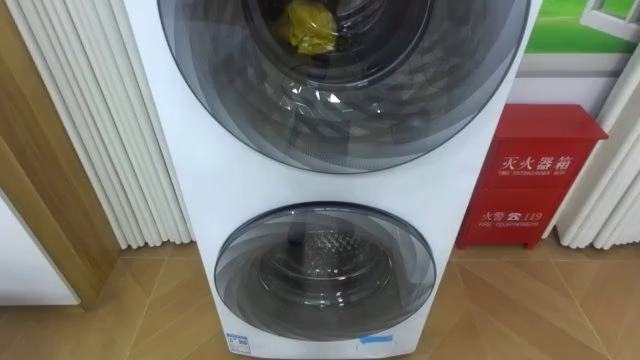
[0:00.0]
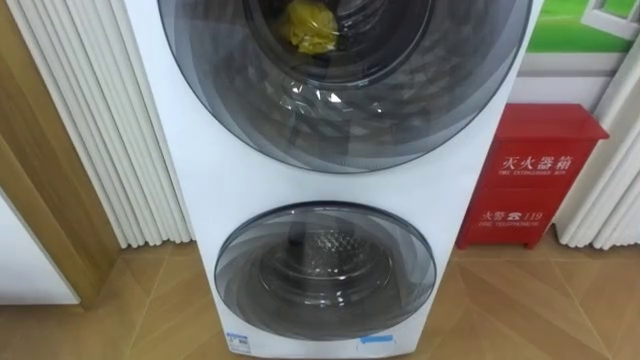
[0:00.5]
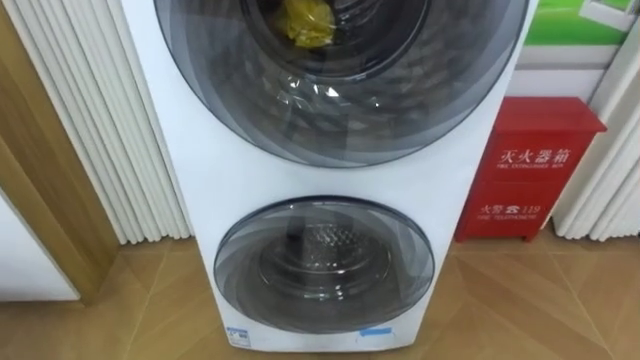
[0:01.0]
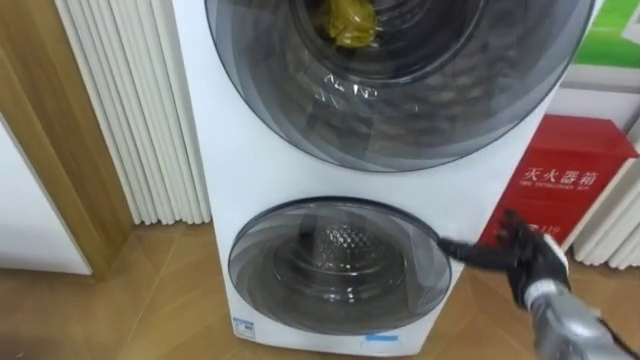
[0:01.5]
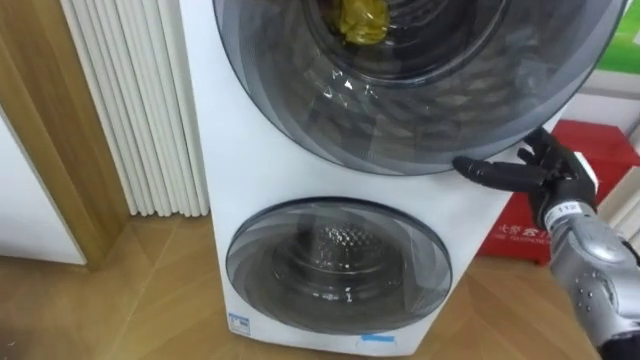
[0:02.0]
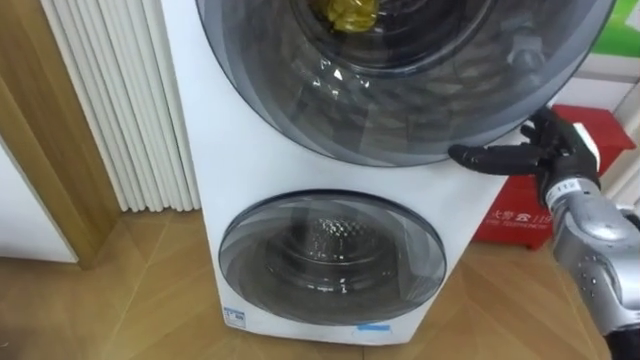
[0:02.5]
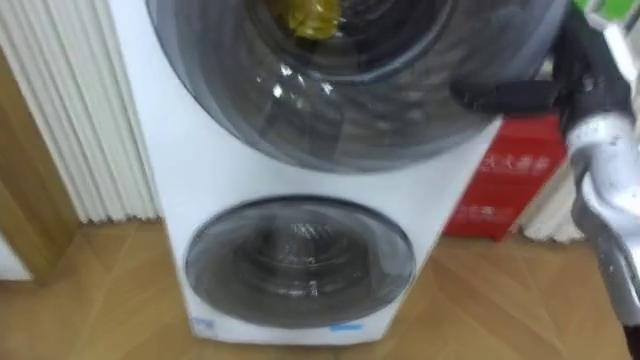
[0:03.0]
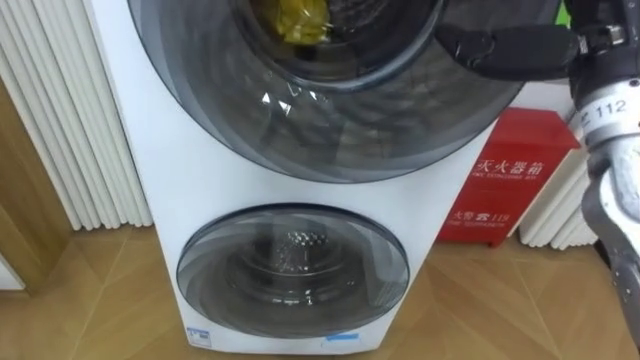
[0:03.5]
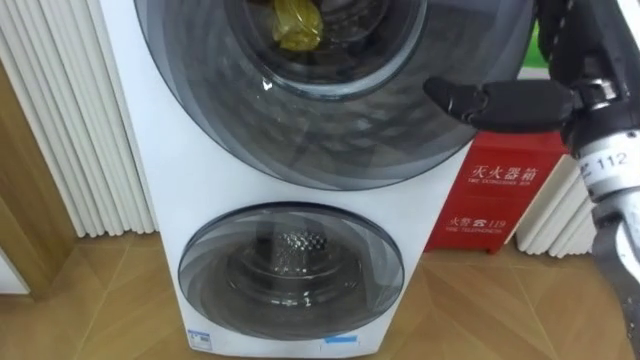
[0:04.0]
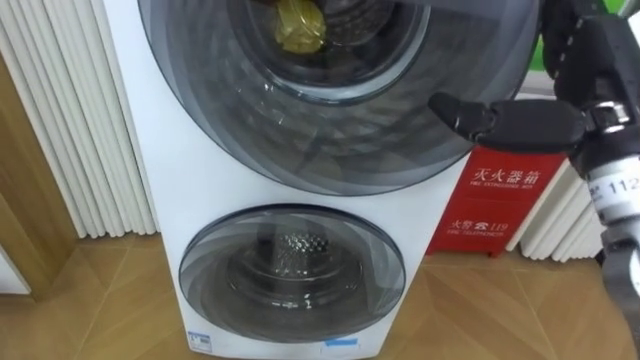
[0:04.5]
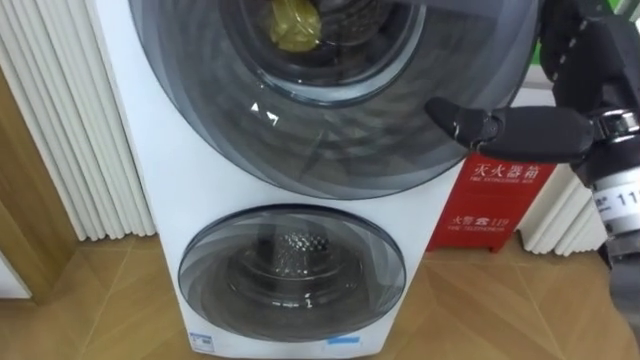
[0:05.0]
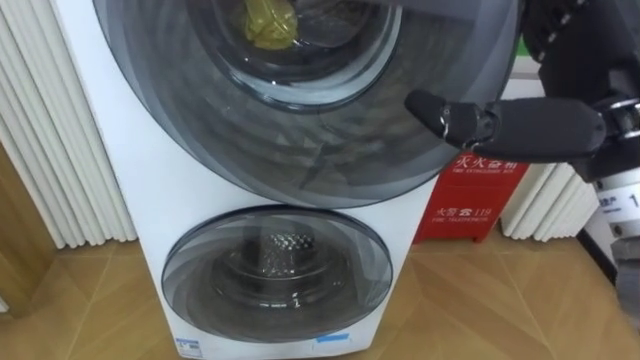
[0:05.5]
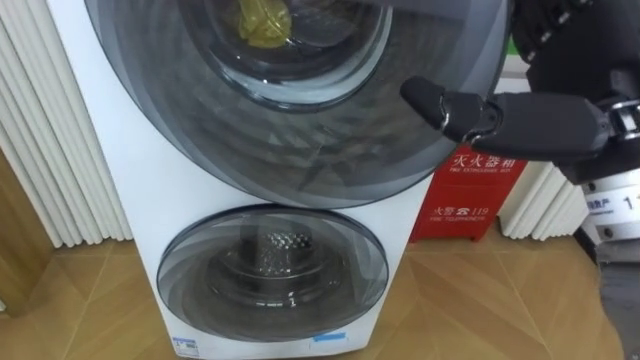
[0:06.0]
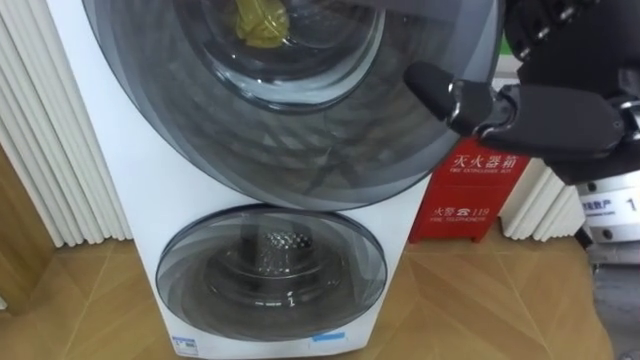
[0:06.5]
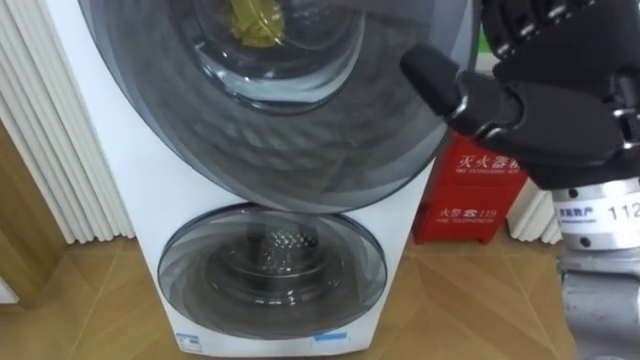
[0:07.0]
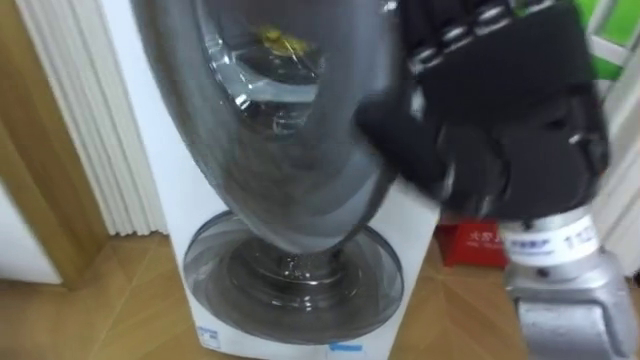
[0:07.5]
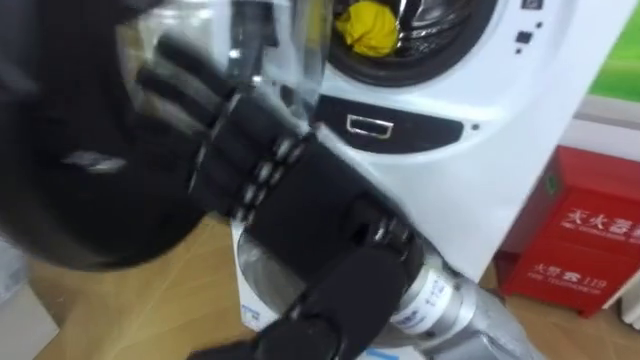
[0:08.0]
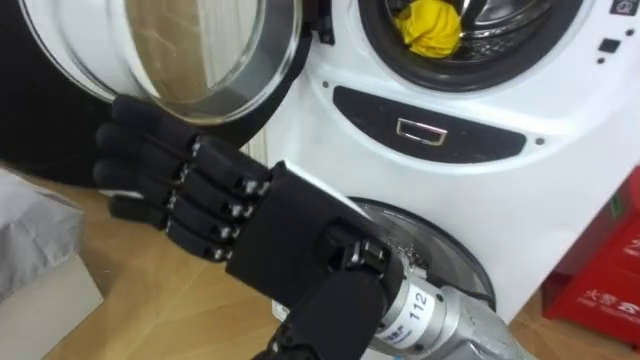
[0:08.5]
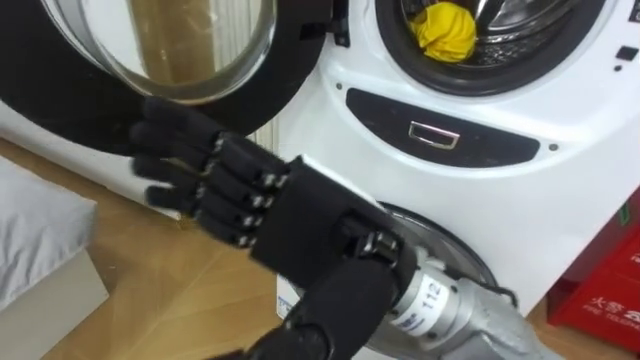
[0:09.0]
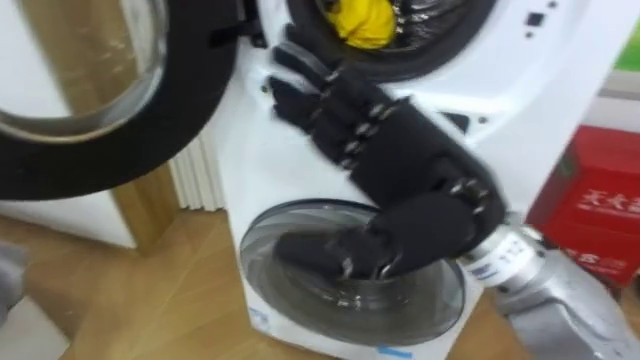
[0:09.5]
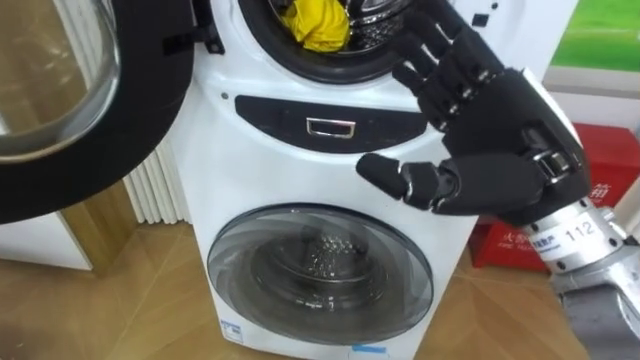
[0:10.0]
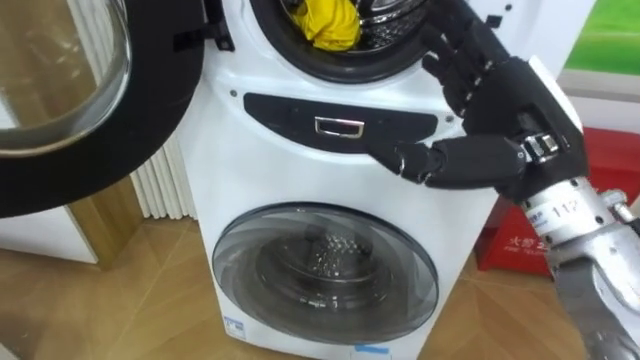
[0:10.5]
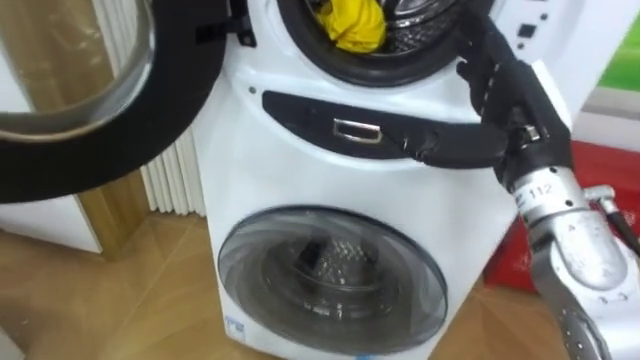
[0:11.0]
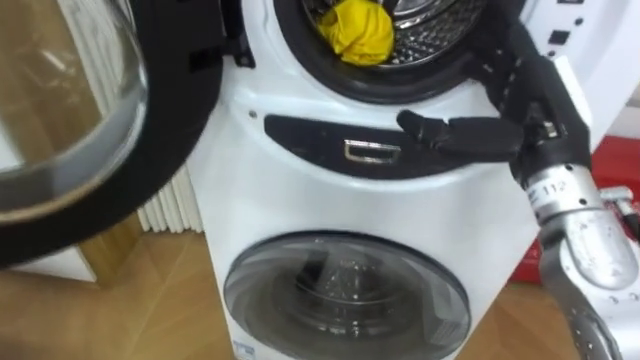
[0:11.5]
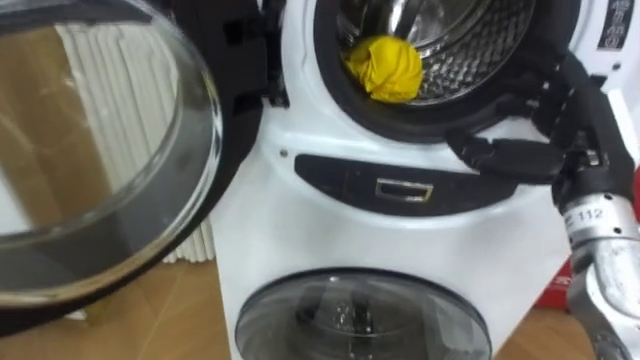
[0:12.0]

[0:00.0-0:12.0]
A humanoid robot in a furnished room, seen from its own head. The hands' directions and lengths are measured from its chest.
Task of the whole recording: Open the washing machine door, take out the yellow clothes, place them in the box on the right, and close the washing machine door.
2.0 to 4.0 s: The right hand heads upward and backward, covering roughly 20 cm.
4.0 to 6.0 s: The right hand shifts by some 5 cm.
6.0 to 8.0 s: The right hand is displaced to the left by roughly 15 cm.
8.0 to 10.0 s: The right hand heads to the right and forward, covering roughly 15 cm.
10.0 to 12.0 s: The right hand moves to the right, some 10 cm.

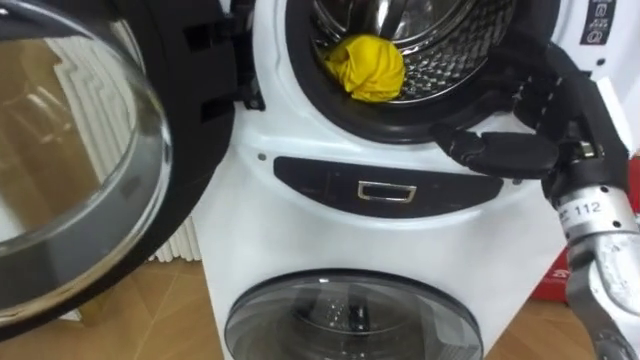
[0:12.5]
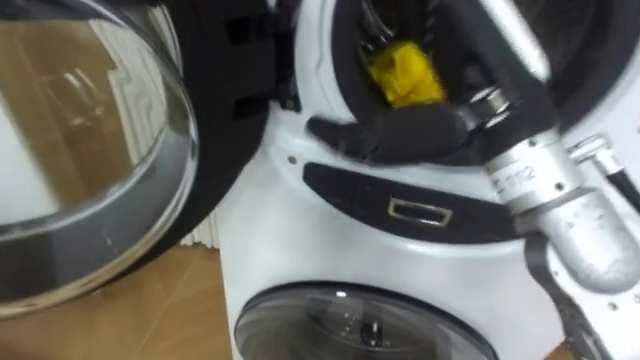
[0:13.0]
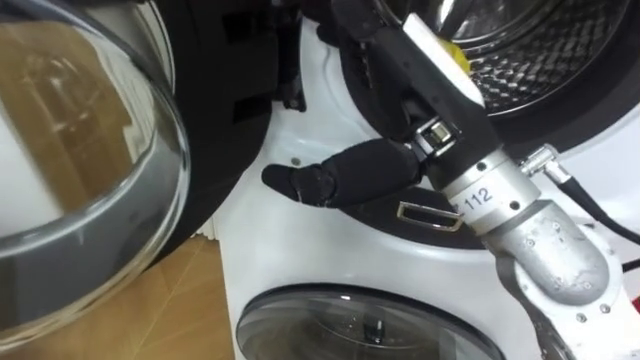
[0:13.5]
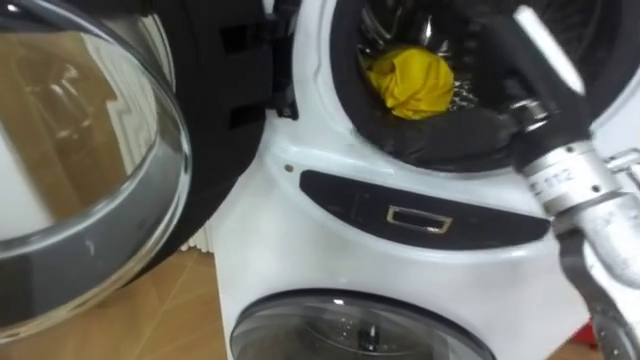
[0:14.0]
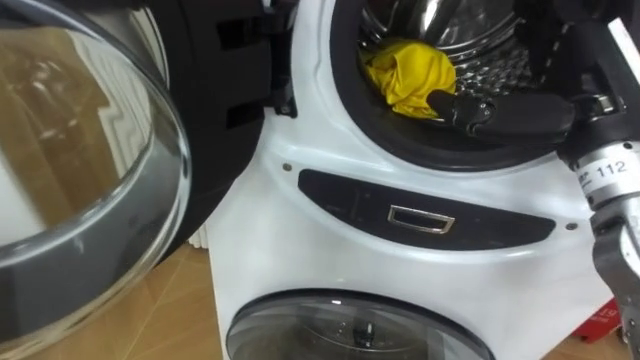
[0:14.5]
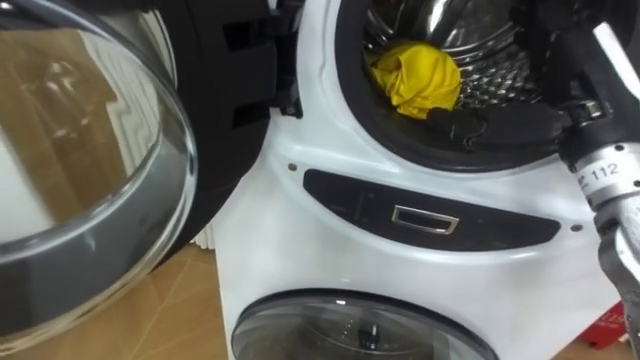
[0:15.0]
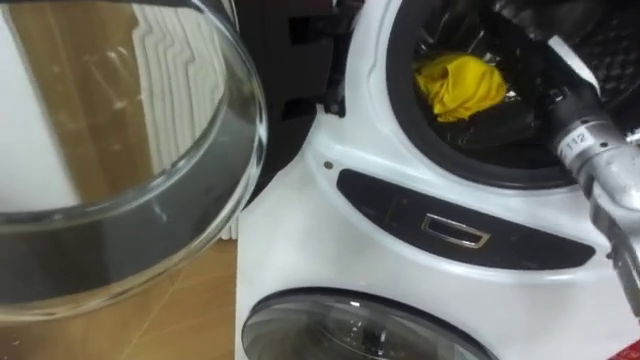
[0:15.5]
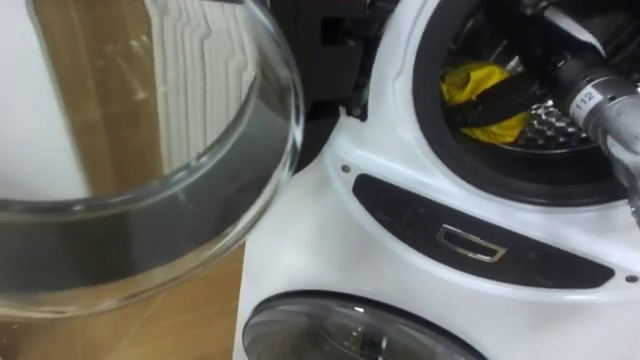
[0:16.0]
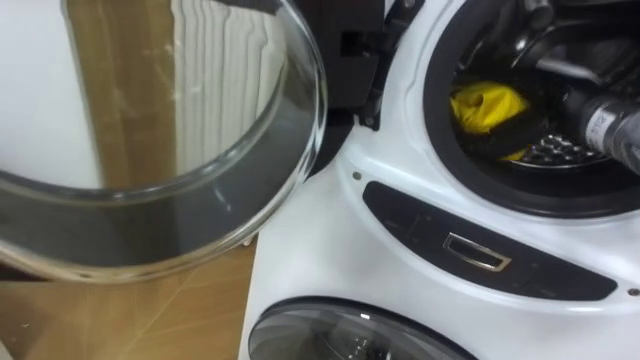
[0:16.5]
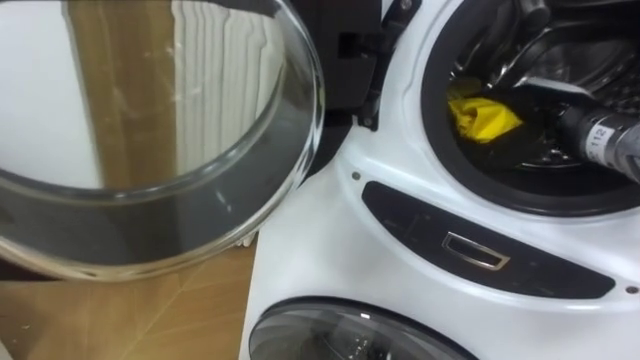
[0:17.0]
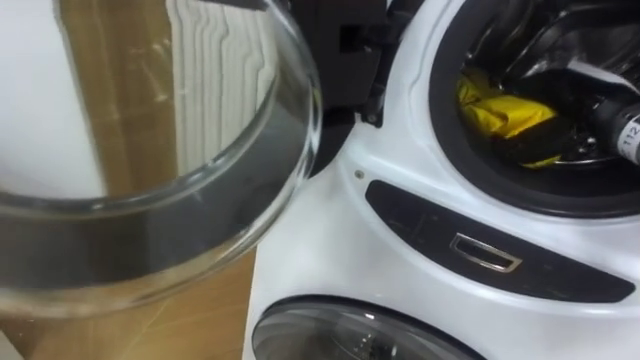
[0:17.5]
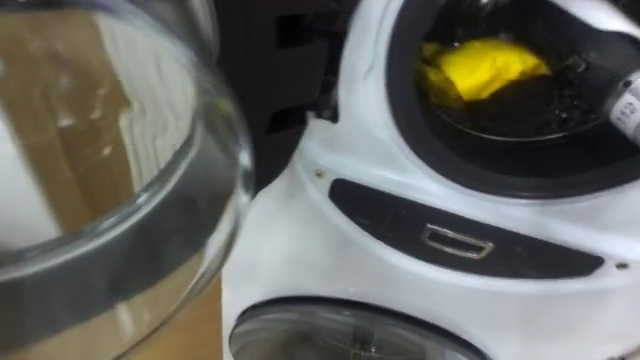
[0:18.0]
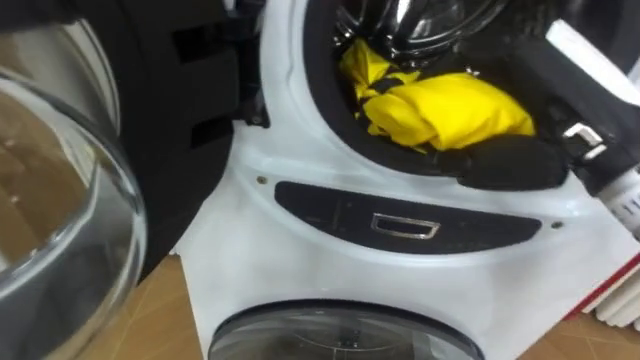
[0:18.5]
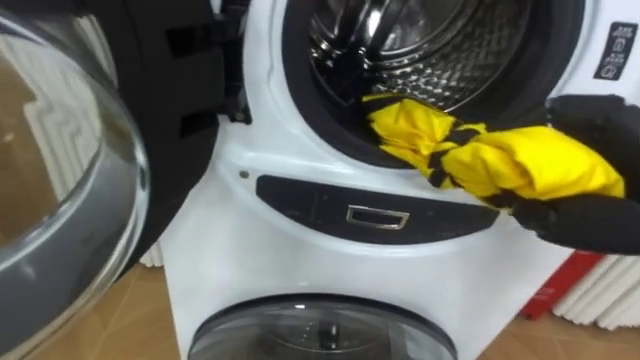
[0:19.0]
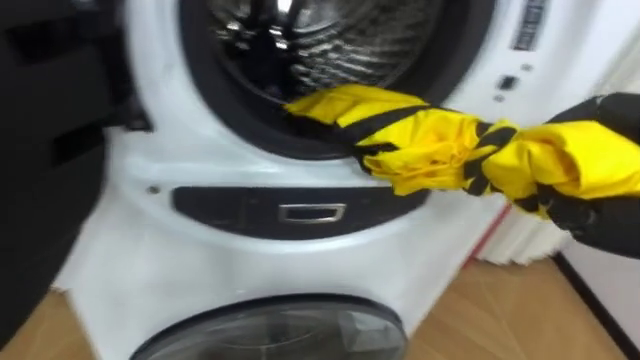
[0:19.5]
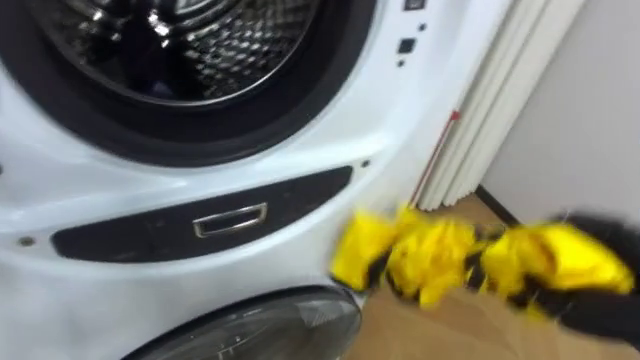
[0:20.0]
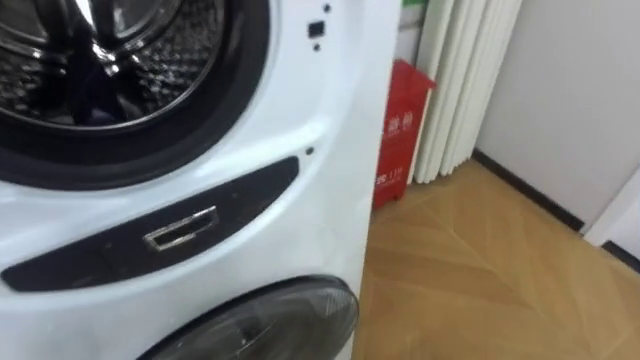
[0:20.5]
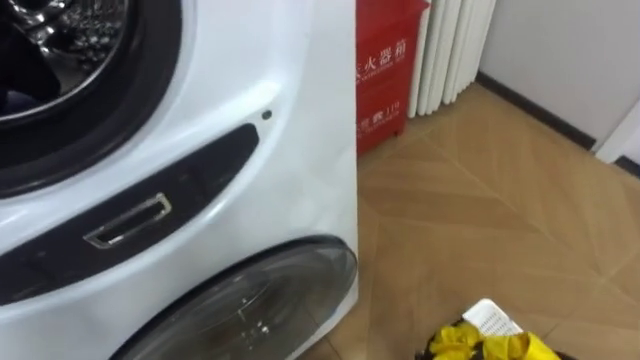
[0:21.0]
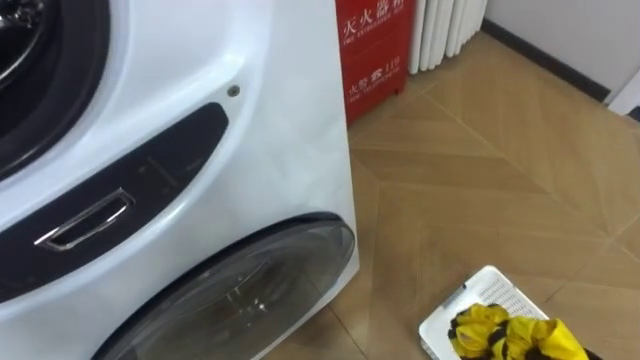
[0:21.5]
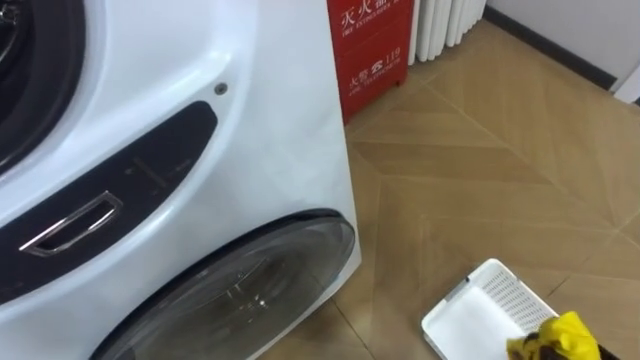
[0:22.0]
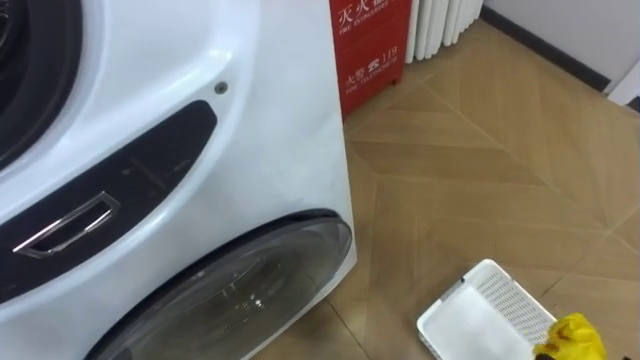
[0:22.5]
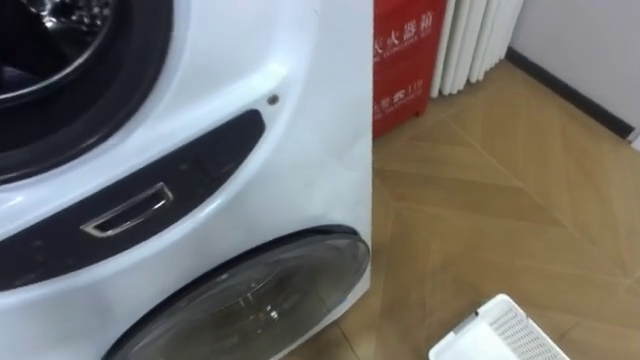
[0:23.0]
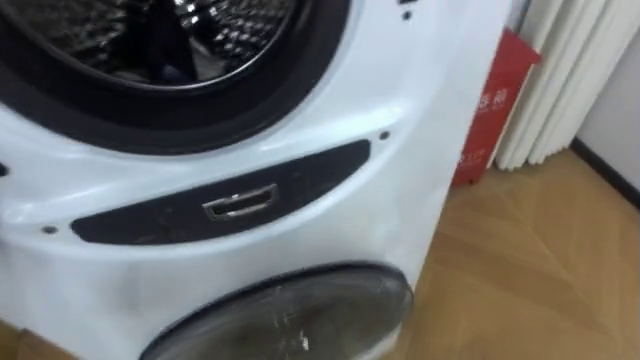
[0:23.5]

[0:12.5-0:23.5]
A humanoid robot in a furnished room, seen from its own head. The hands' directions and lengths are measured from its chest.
Task of the whole recording: Open the washing machine door, take out the yellow clothes, place them in the box on the right, and close the washing machine door.
12.5 to 14.5 s: The right hand reaches about 15 cm to the left, then returns.
14.5 to 16.0 s: The right hand goes approximately 10 cm forward.
16.0 to 18.0 s: The right hand goes roughly 10 cm backward and upward, and closes up.
